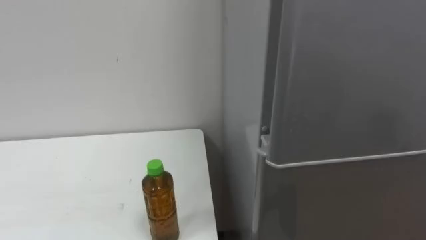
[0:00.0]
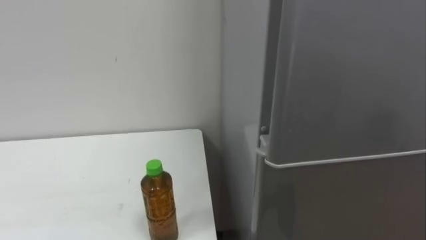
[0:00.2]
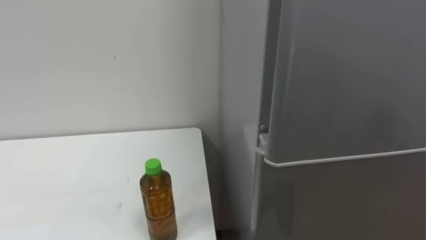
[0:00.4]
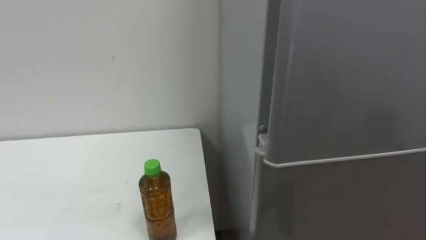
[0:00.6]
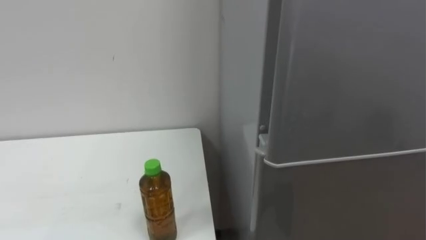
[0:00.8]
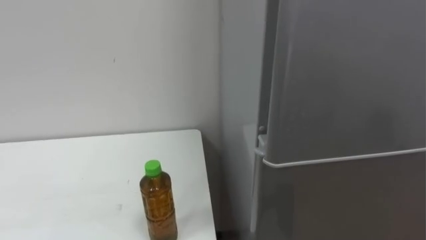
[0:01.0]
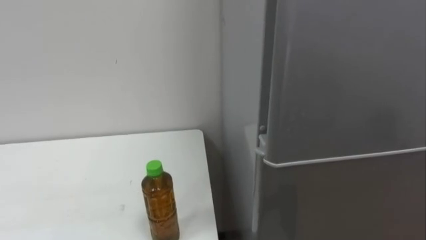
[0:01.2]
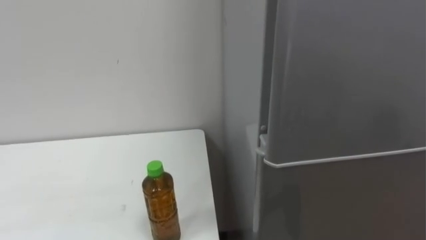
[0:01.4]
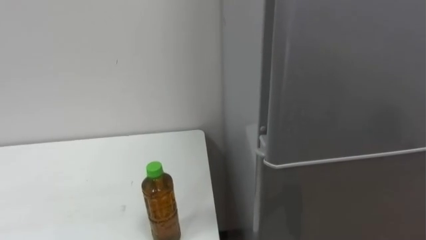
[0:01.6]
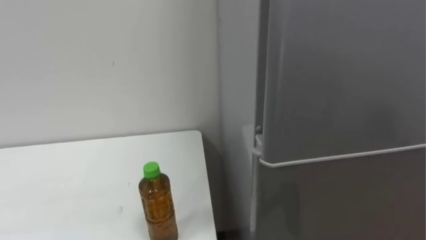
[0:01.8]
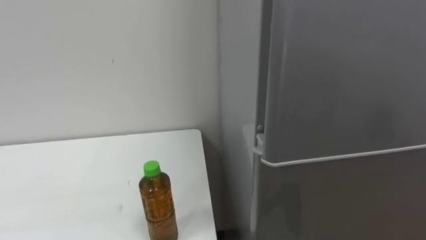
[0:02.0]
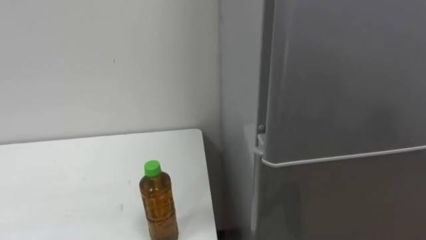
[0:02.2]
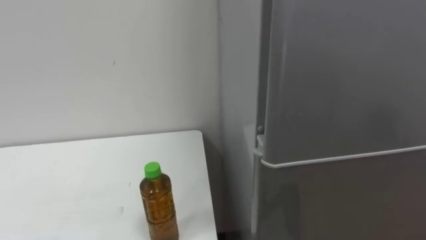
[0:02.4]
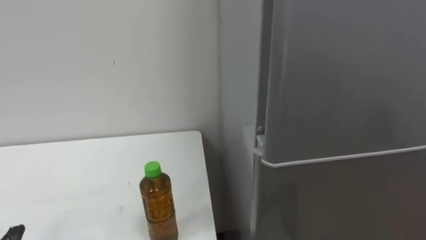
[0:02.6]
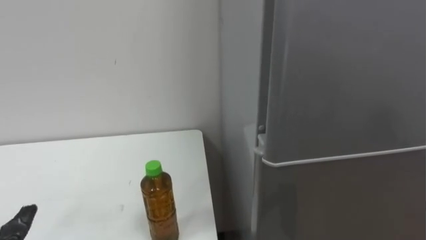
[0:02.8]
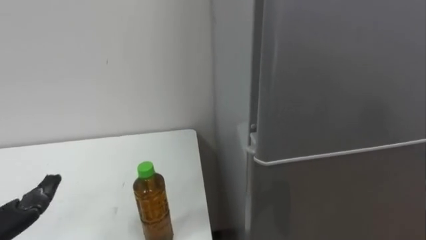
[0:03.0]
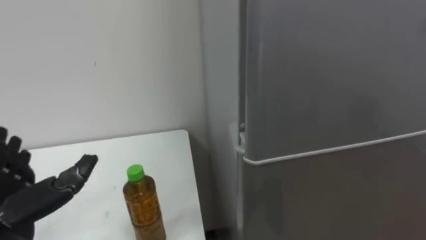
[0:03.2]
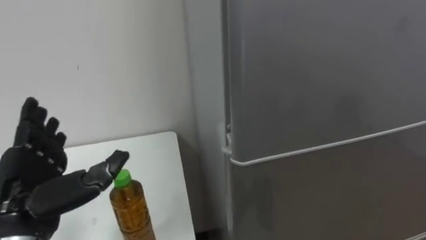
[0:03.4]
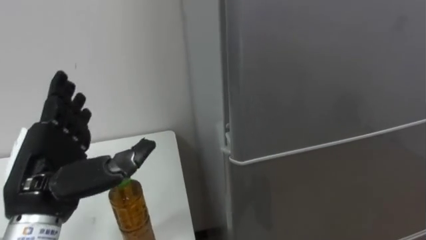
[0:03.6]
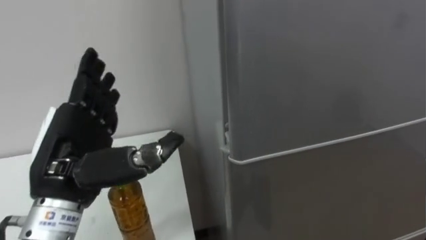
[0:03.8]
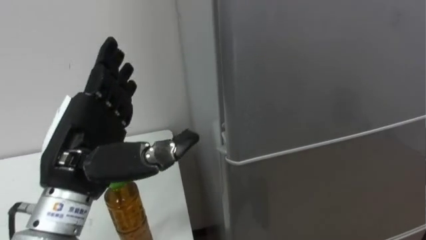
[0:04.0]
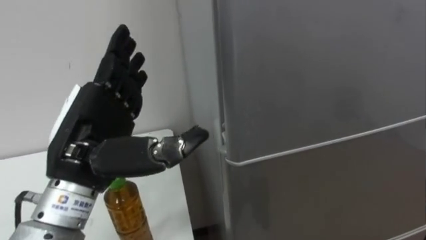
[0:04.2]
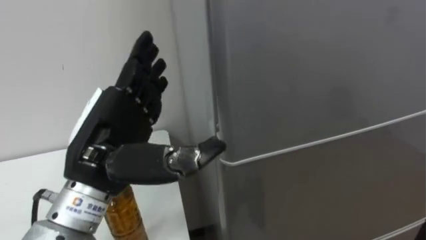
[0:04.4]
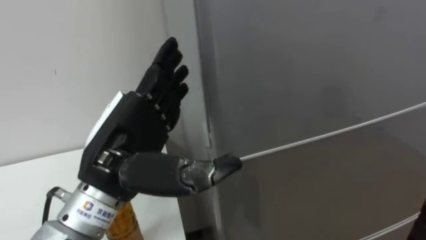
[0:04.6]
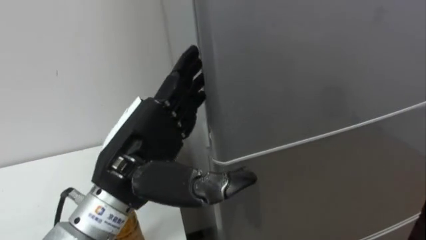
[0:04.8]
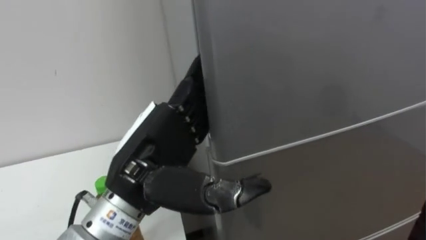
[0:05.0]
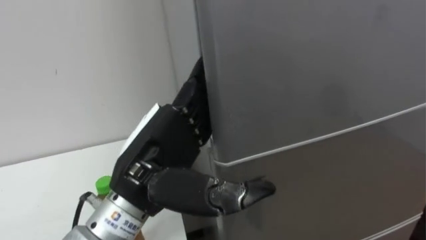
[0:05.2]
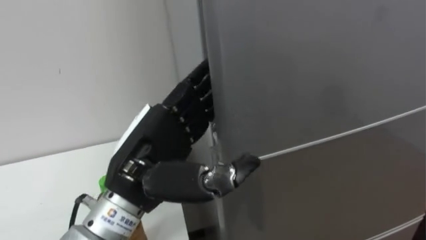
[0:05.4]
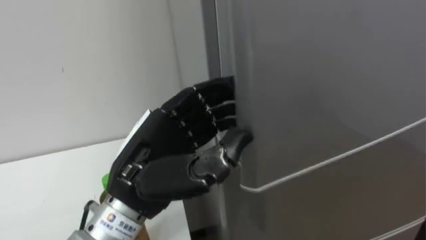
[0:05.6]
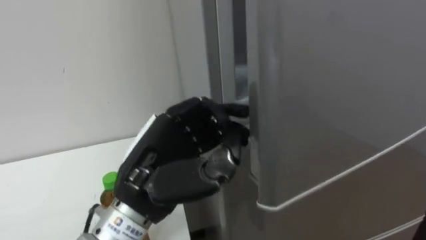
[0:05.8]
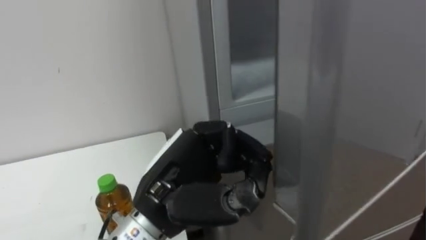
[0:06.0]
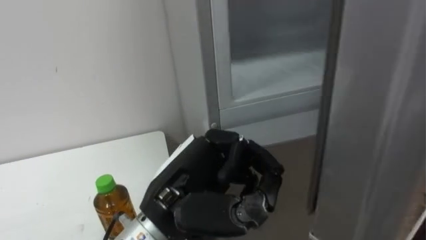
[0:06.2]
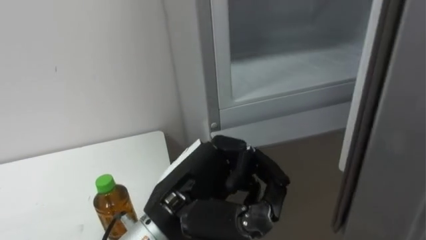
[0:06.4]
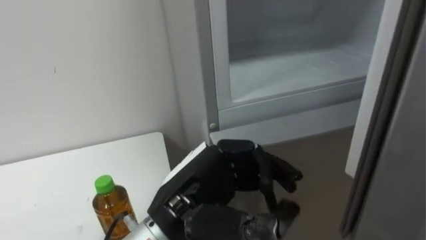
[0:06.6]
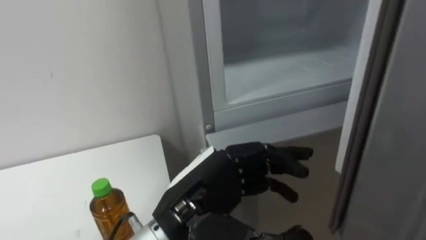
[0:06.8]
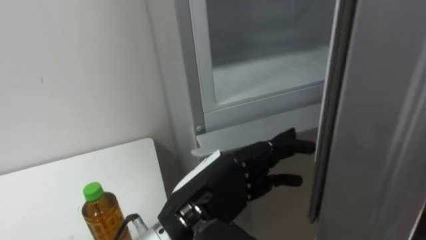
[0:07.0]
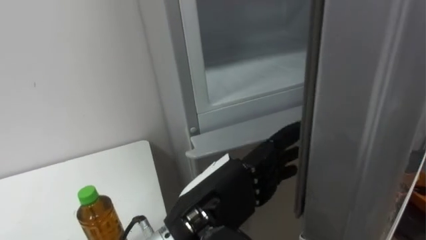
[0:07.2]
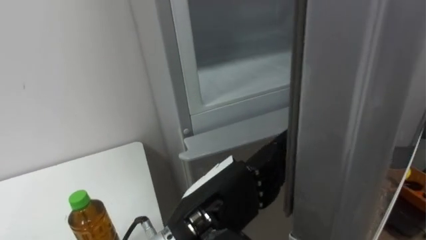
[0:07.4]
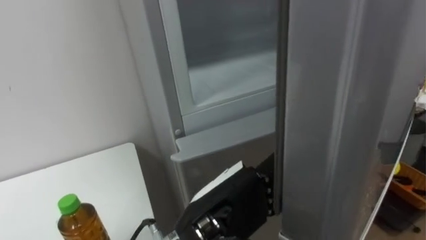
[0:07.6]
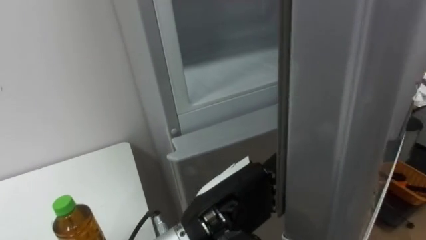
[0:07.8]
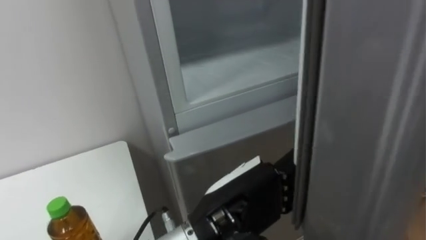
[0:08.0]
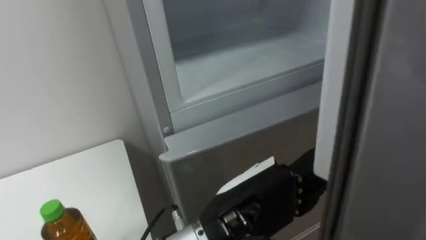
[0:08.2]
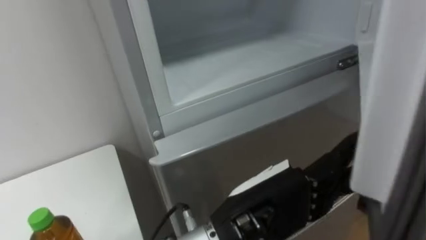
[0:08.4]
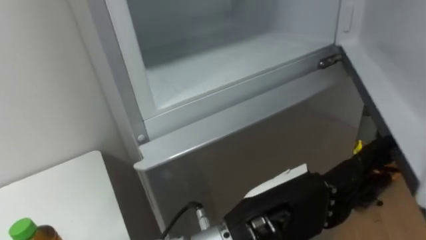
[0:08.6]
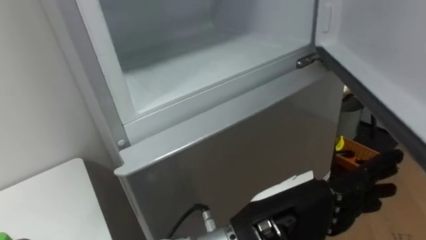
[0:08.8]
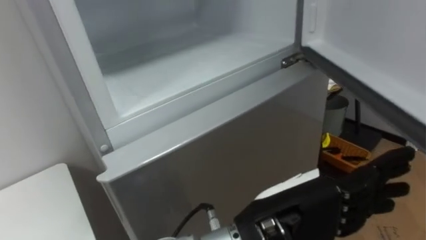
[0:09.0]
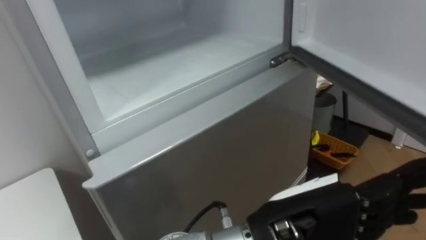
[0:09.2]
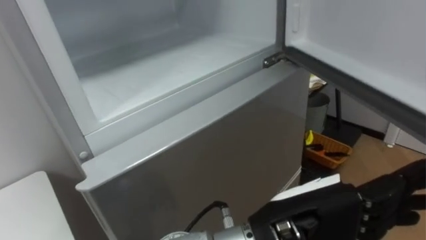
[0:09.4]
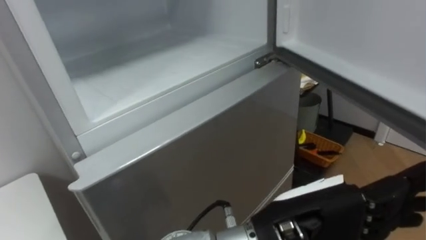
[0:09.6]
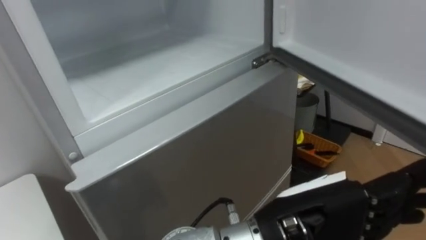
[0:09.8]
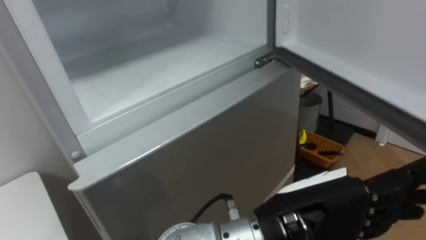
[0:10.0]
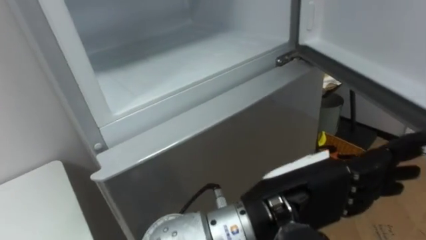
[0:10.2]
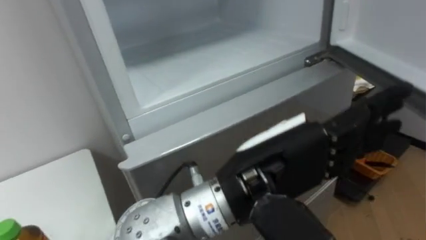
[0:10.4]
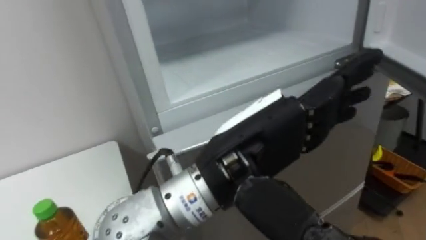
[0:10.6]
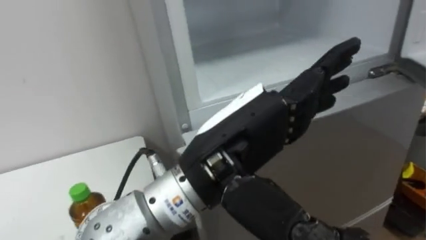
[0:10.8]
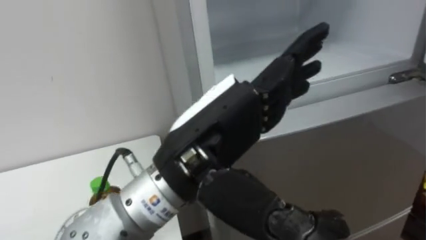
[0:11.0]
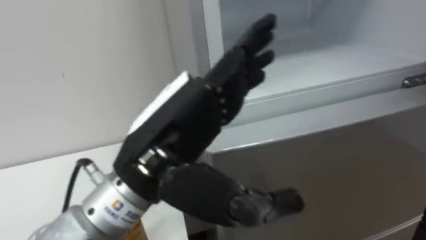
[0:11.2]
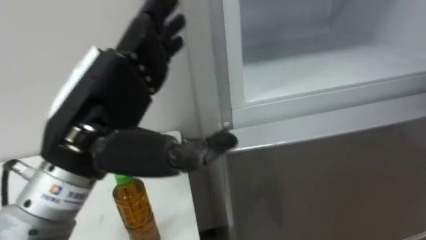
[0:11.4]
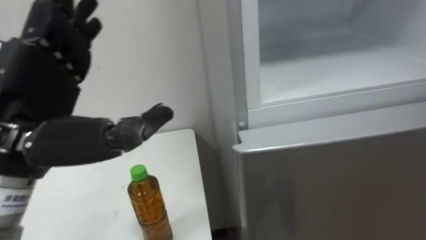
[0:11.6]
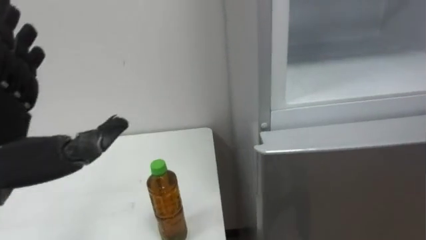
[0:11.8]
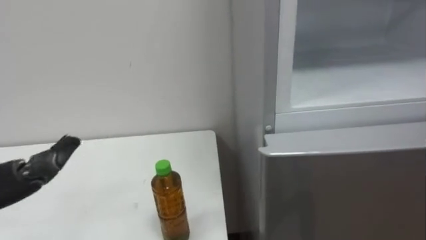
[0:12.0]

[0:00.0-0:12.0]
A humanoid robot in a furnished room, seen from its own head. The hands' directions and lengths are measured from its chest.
Task of the whole recording: Open the upper refrigerator door, put the drink from the table into the refrigerator, and then close the refrigerator door.
0:04.4 to 0:06.0: The left hand travels to the right by approximately 10 cm, and closes up.
0:06.0 to 0:07.6: The left hand travels to the right by approximately 5 cm, and opens up.
0:07.6 to 0:09.0: The left hand heads to the right, covering roughly 5 cm.
0:09.0 to 0:10.4: The left hand travels upward by some 5 cm.

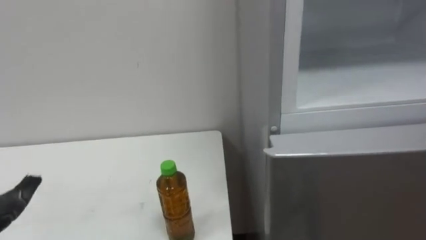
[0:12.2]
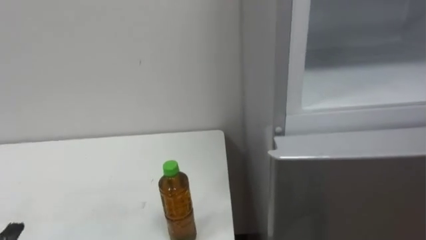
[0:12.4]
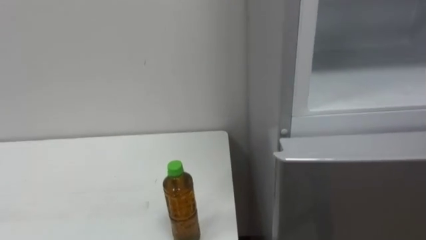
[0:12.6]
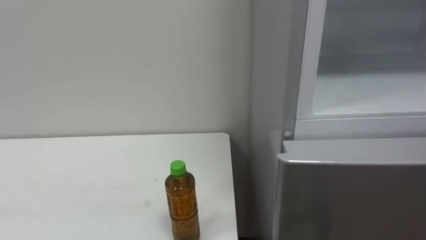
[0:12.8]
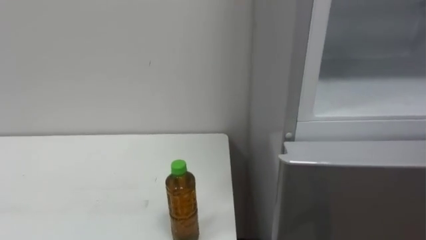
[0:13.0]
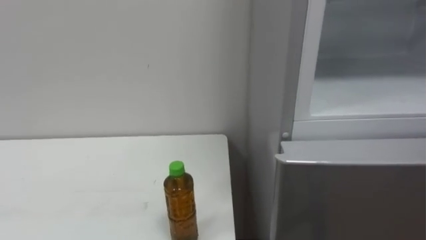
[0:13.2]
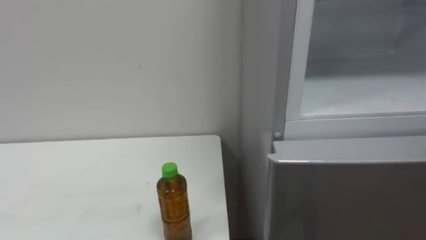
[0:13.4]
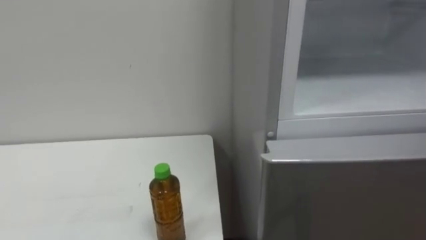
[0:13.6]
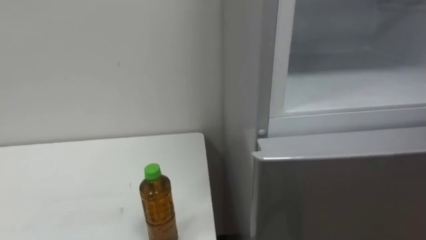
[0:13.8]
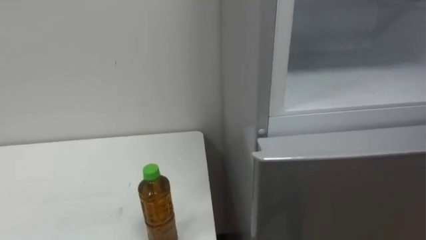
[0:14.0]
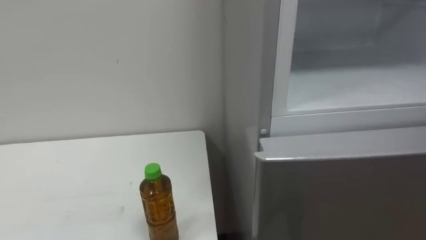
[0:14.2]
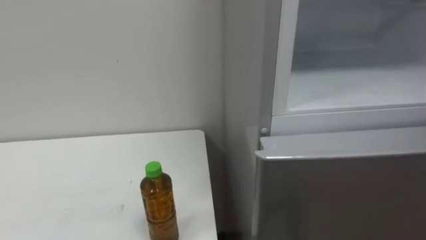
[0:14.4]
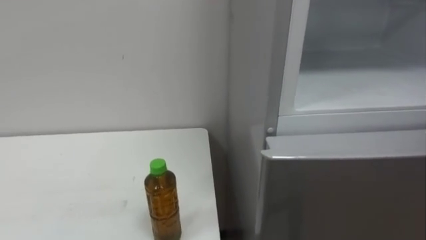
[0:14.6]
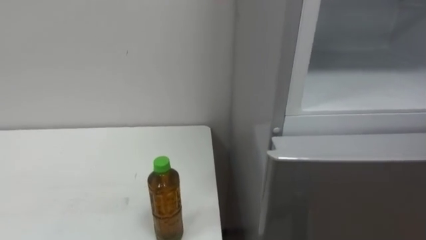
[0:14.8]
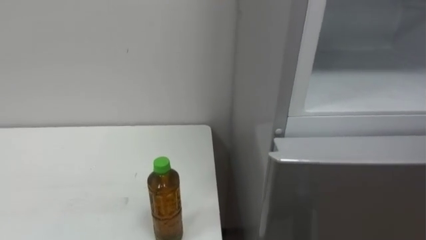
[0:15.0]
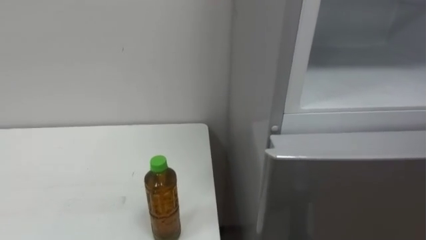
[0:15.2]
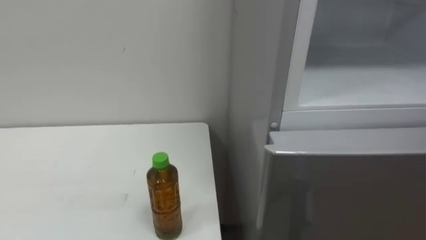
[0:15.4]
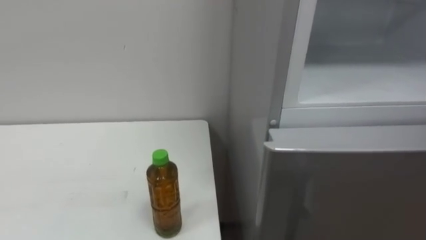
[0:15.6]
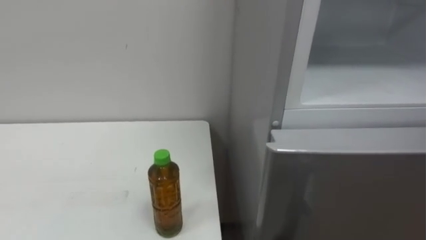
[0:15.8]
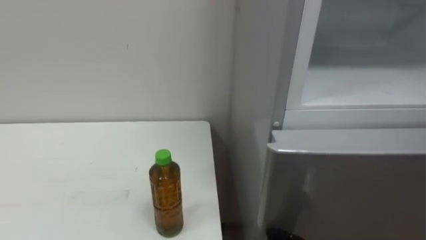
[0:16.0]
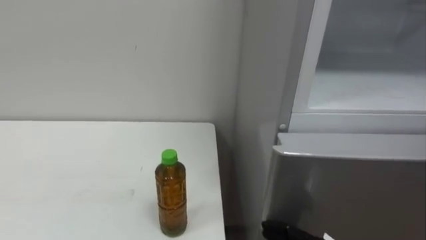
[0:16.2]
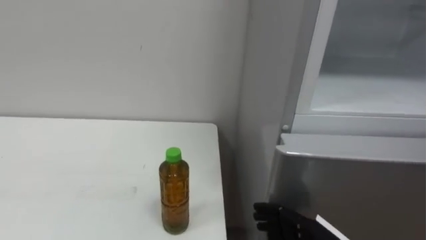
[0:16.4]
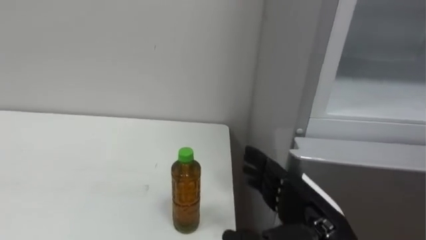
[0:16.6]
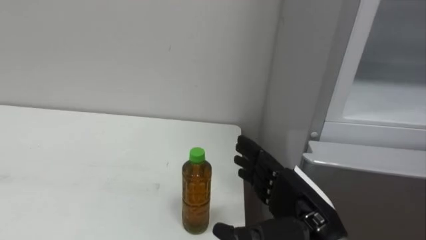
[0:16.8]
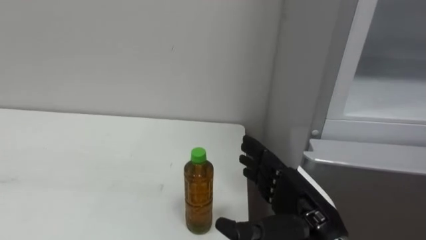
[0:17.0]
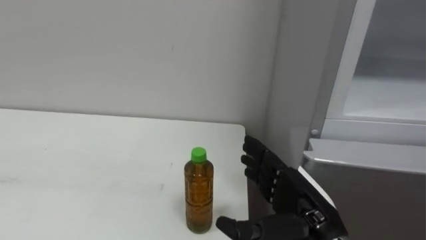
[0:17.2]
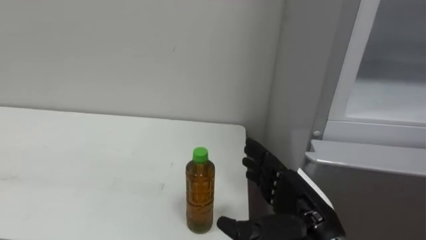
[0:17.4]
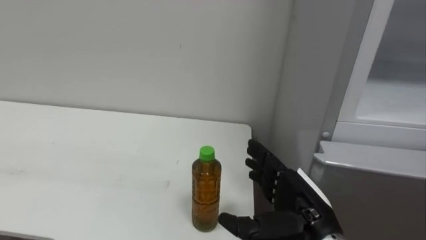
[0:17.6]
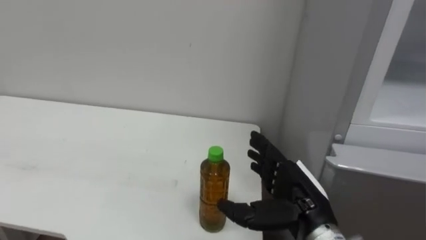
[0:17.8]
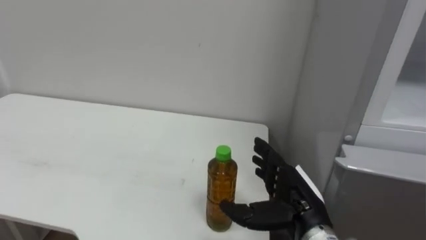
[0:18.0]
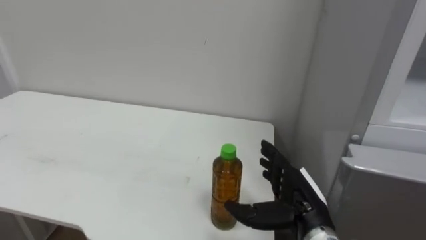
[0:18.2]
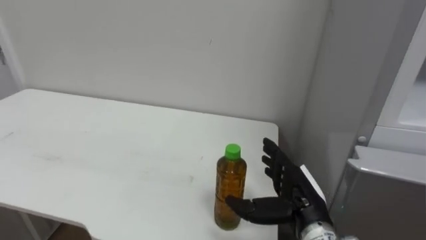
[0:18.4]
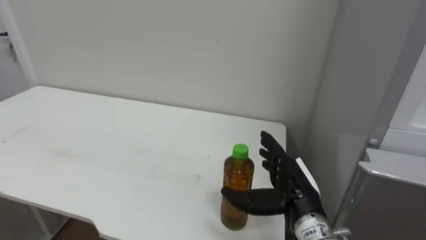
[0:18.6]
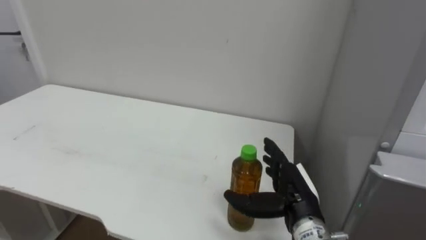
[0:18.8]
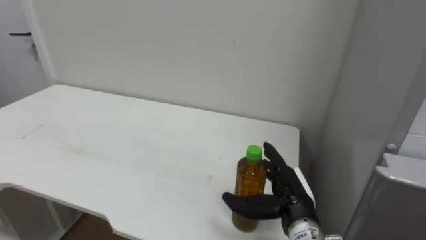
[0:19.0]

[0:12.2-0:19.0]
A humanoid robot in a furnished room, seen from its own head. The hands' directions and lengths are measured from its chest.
Task of the whole recording: Open the upper refrigerator door, put the drink from the table into the refrigerator, and then close the refrigerator door.
0:17.6 to 0:19.0: The right hand goes about 5 cm forward.
